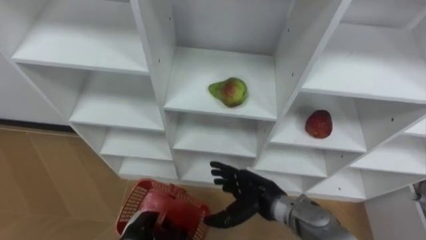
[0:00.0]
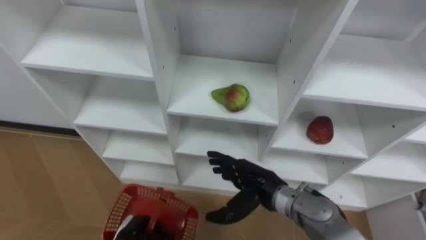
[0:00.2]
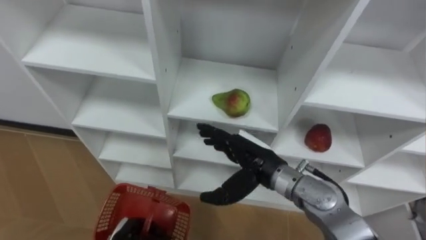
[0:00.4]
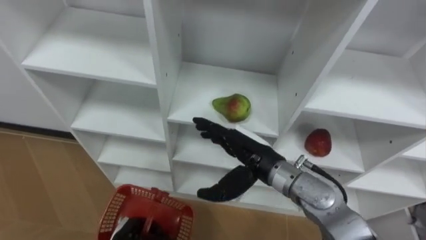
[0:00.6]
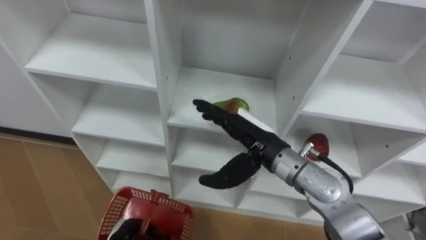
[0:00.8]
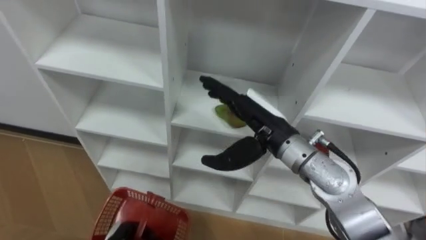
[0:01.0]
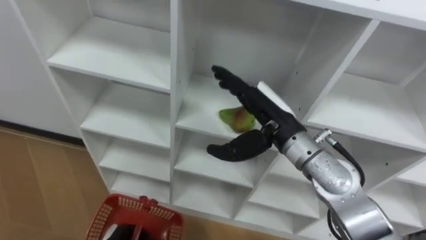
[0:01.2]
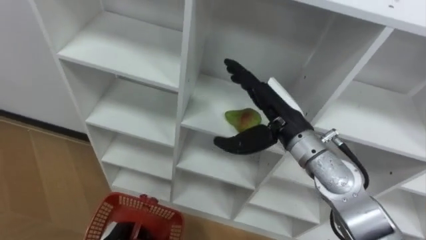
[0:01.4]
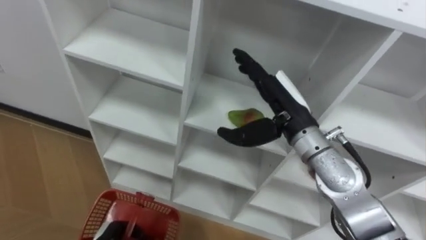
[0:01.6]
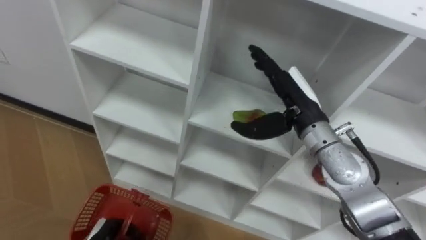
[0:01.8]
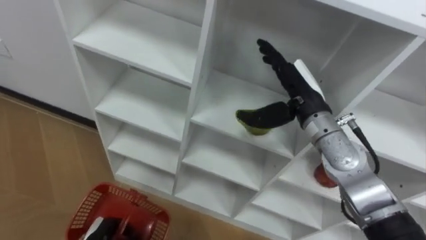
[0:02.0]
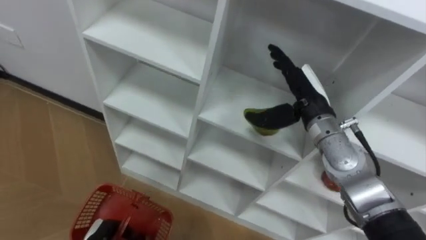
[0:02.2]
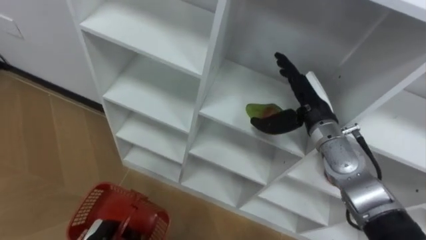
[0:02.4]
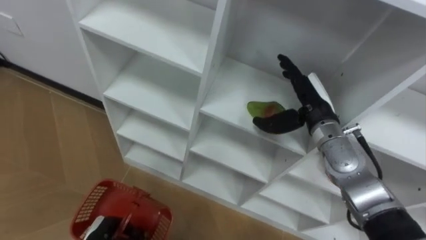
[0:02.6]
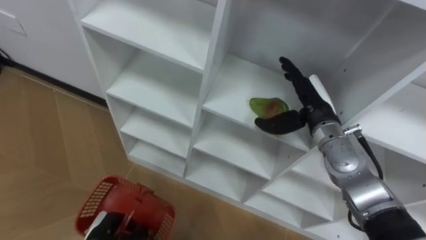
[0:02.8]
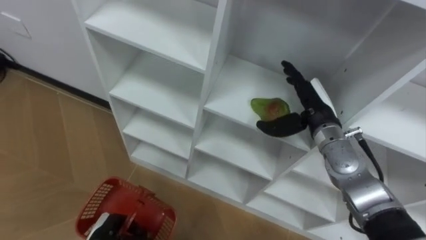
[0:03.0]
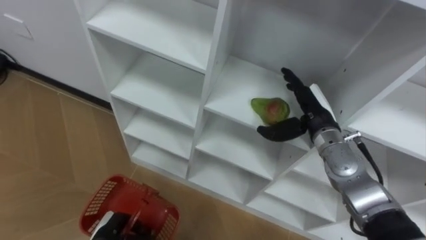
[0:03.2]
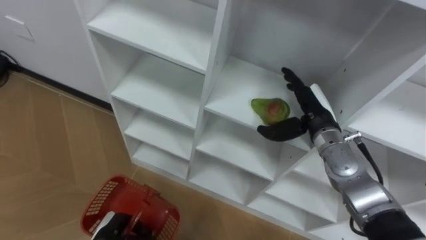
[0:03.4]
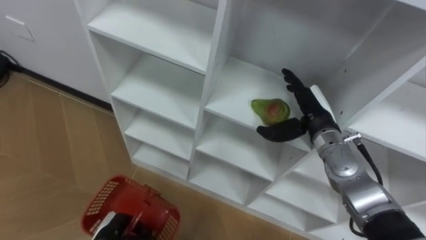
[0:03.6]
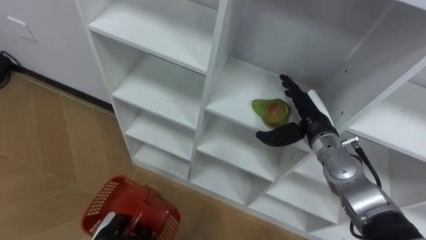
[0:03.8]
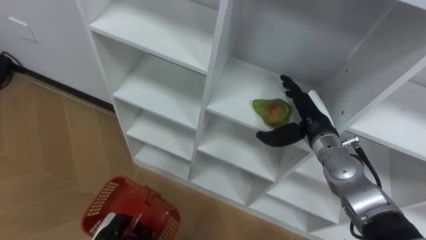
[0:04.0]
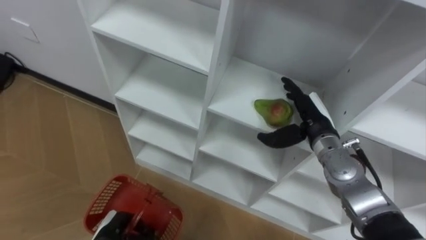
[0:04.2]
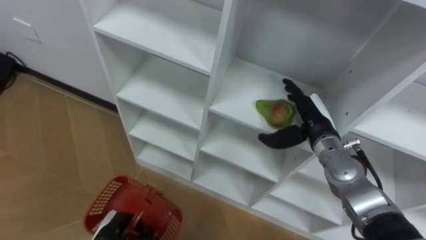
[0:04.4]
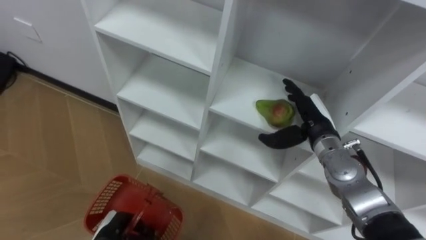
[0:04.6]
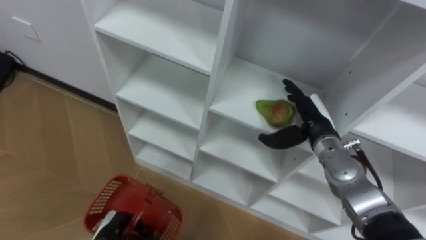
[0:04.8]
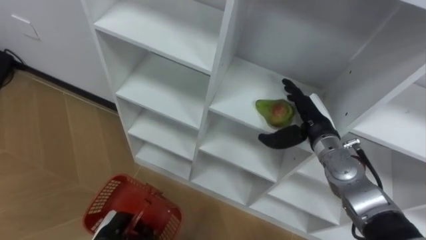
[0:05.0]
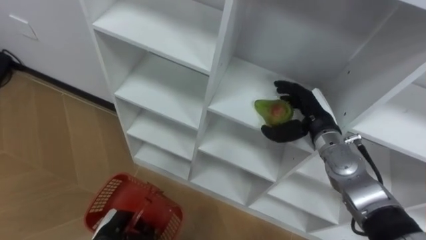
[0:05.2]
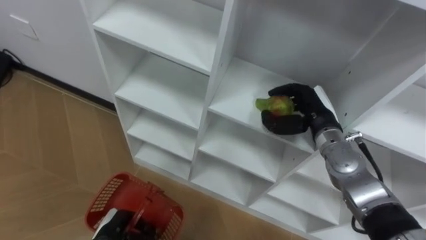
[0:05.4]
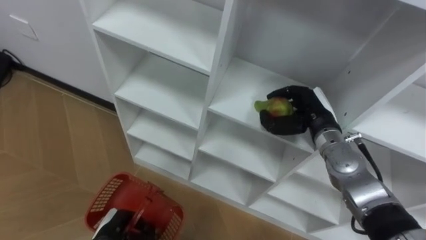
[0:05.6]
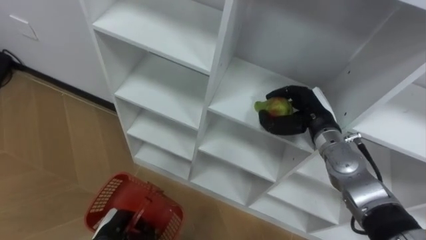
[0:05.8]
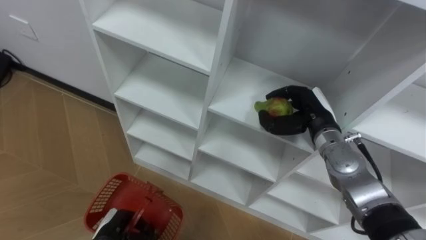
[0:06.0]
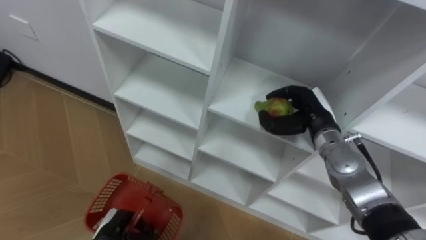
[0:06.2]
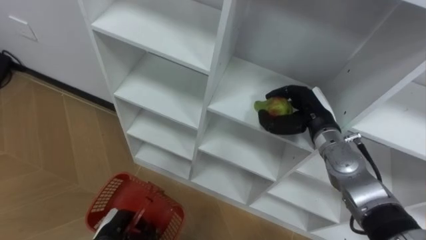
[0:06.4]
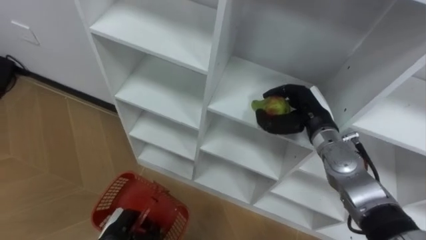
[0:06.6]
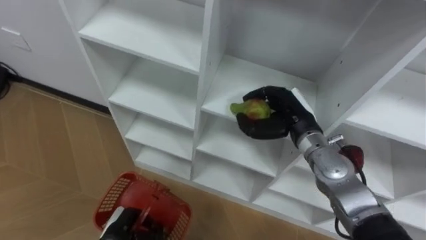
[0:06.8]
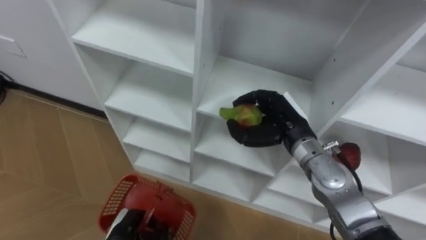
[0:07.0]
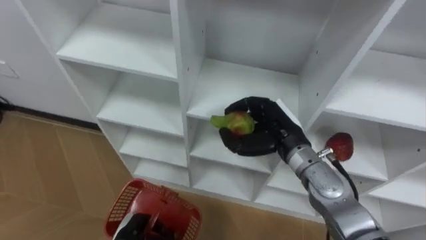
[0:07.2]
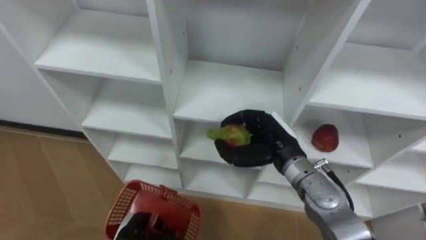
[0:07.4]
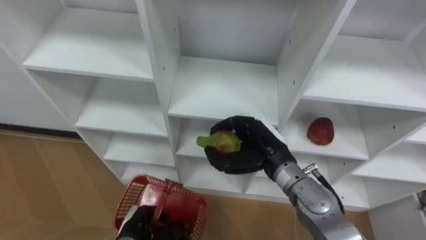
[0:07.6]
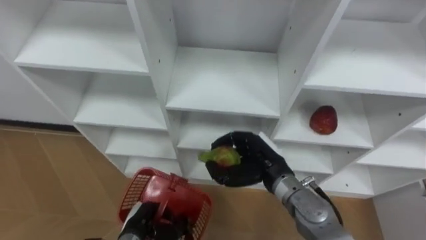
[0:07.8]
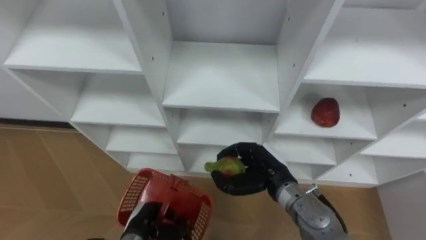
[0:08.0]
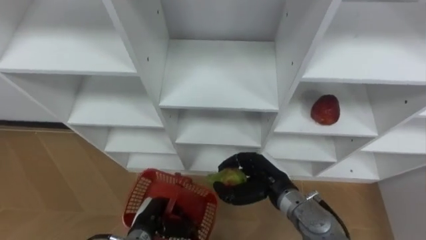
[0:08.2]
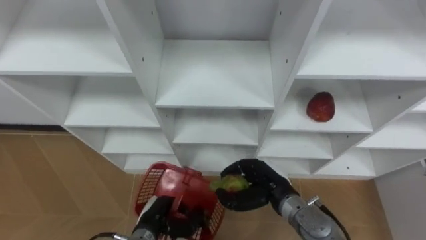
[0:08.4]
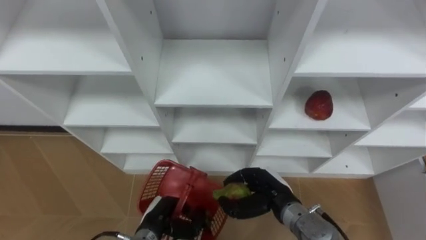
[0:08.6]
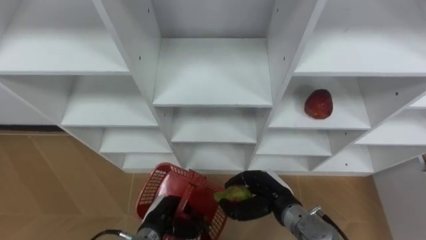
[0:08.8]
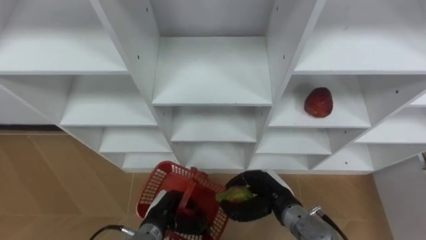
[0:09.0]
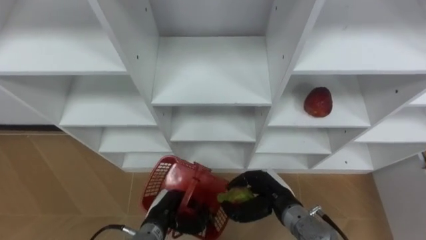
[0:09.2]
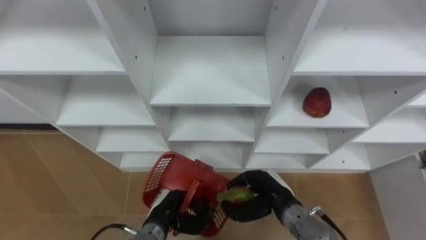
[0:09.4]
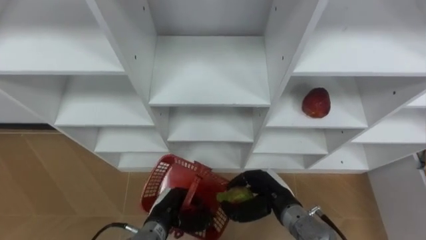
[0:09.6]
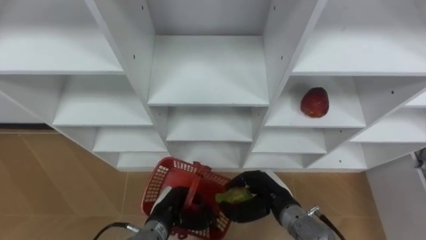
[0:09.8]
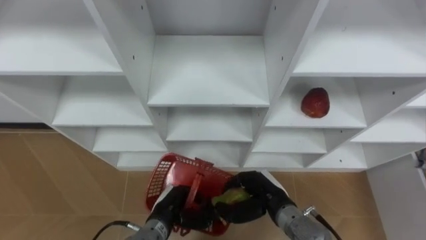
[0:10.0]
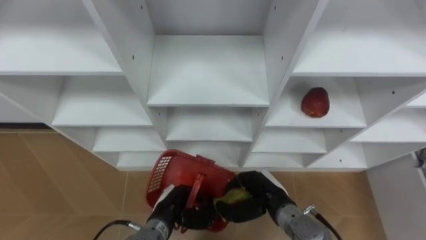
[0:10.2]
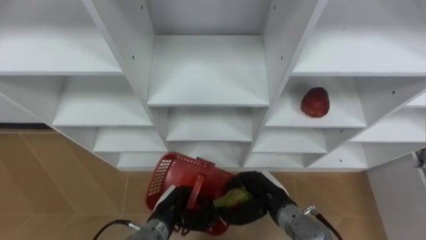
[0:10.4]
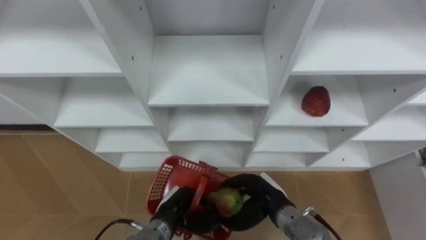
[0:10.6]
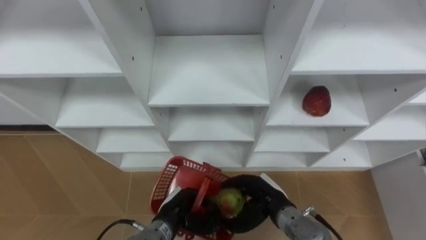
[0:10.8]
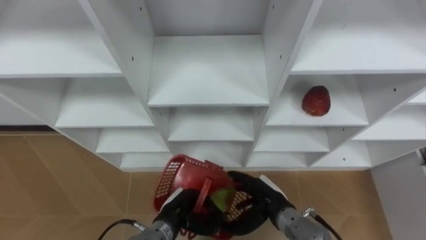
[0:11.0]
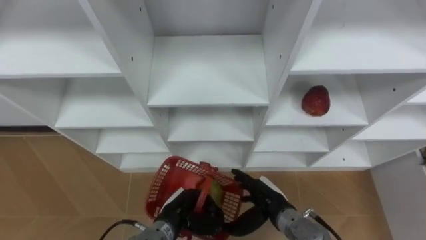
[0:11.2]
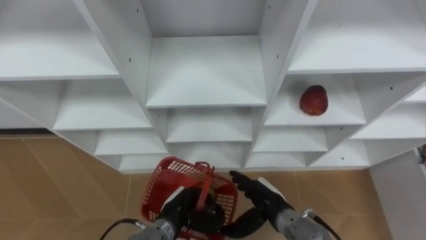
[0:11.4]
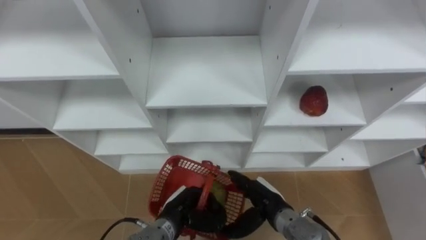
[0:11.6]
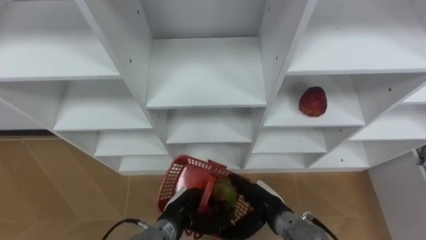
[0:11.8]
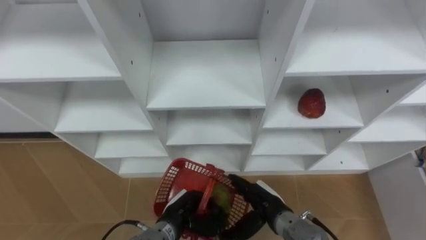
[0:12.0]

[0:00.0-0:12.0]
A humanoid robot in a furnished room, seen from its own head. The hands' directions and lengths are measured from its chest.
Task of the whole recording: Hold the basket and collect the fruits from 3 different cells of the closet into it.
0:00.0 to 0:01.6: The right hand moves upward and forward, roughly 20 cm.
0:01.6 to 0:03.0: The right hand moves to the right and downward, approximately 10 cm.
0:03.0 to 0:04.4: The hands make only small movements.
0:04.4 to 0:06.0: The right hand closes its fingers.
0:06.0 to 0:07.6: The left hand goes about 5 cm to the right. Meanwhile the right hand travels to the left and backward by about 10 cm.
0:07.6 to 0:09.0: The left hand moves to the right, roughly 5 cm. Meanwhile the right hand heads downward and backward, covering about 10 cm.
0:09.0 to 0:10.4: There are only small adjustments of the hands.
0:10.4 to 0:12.0: The right hand opens.

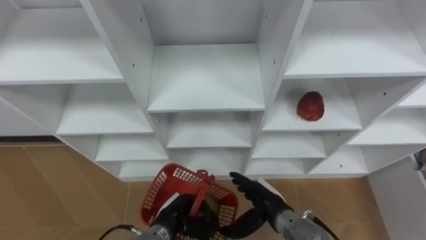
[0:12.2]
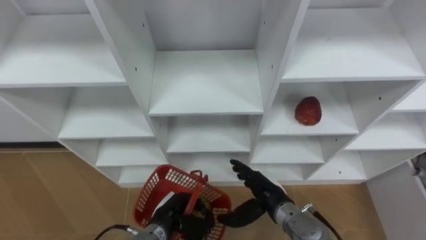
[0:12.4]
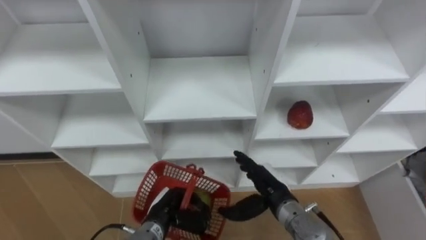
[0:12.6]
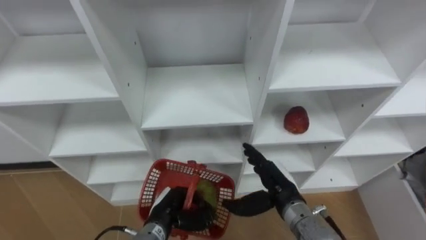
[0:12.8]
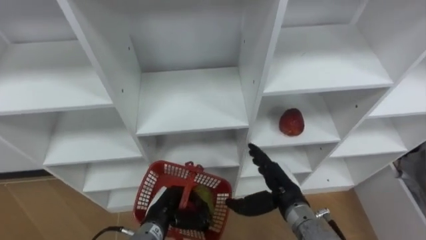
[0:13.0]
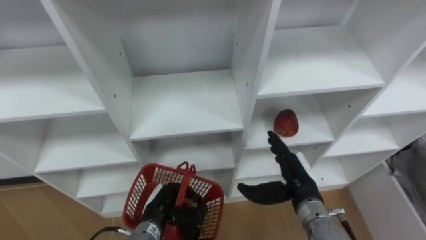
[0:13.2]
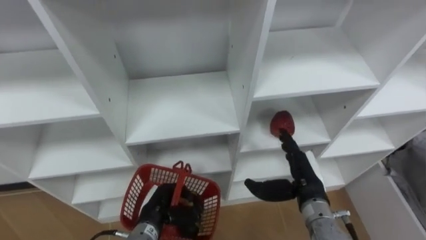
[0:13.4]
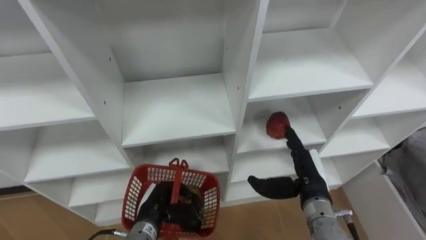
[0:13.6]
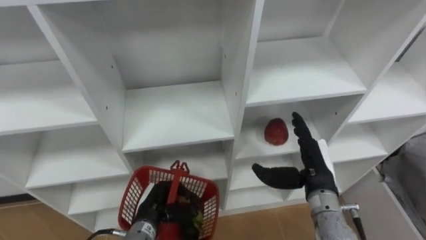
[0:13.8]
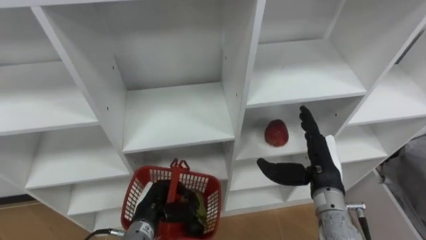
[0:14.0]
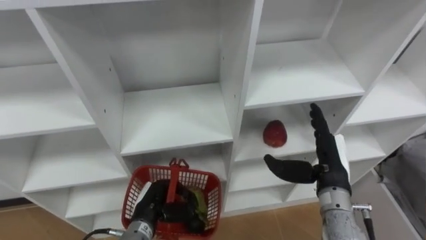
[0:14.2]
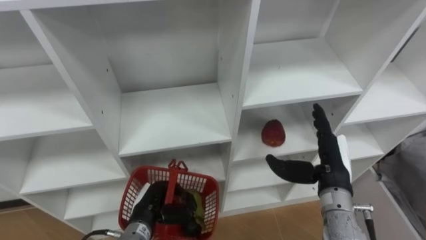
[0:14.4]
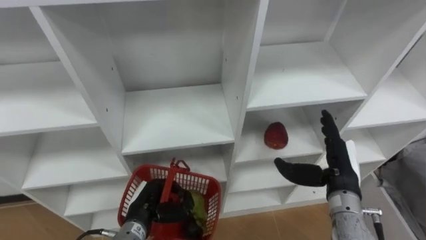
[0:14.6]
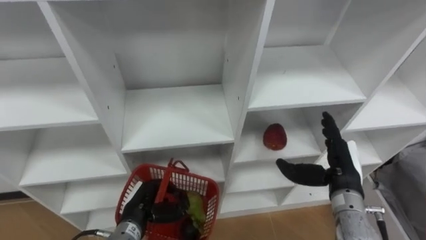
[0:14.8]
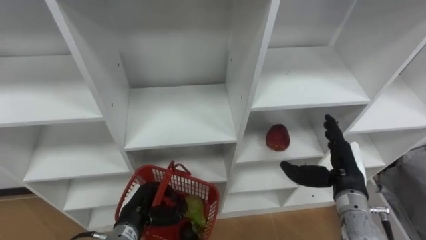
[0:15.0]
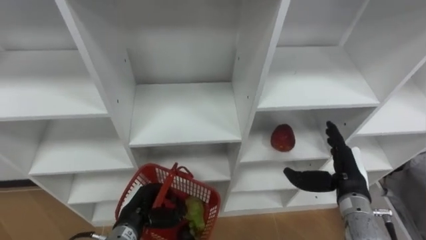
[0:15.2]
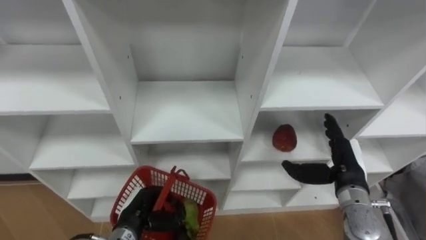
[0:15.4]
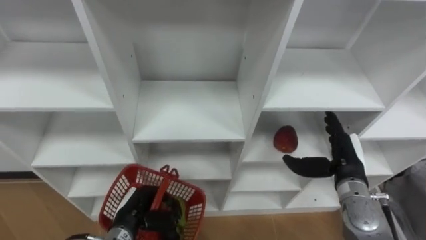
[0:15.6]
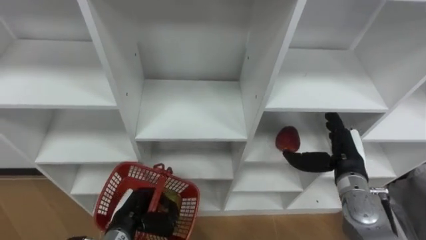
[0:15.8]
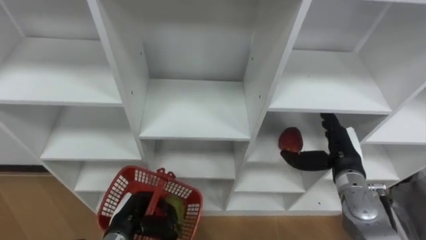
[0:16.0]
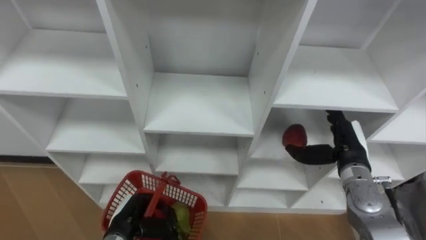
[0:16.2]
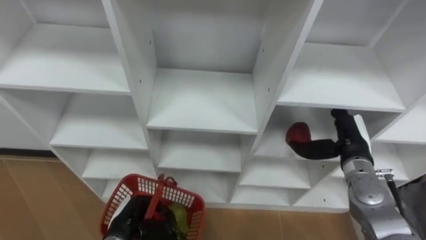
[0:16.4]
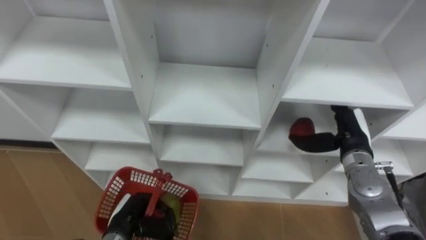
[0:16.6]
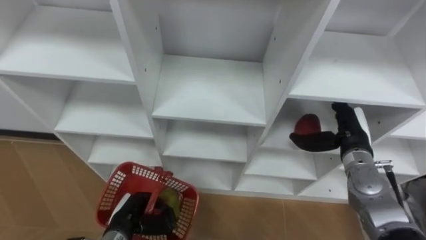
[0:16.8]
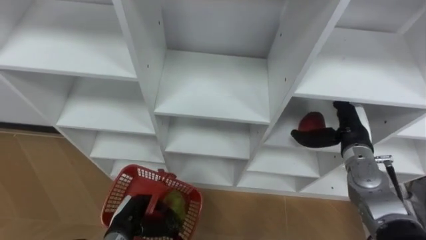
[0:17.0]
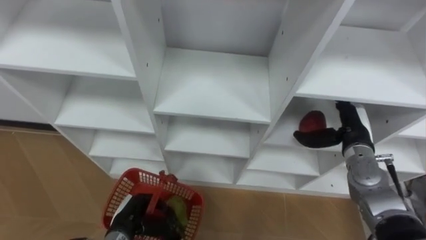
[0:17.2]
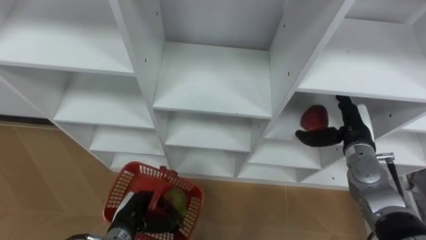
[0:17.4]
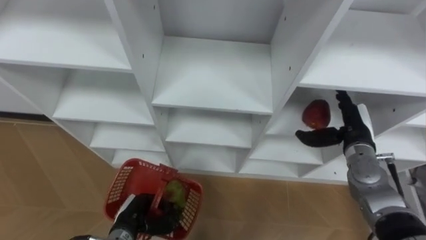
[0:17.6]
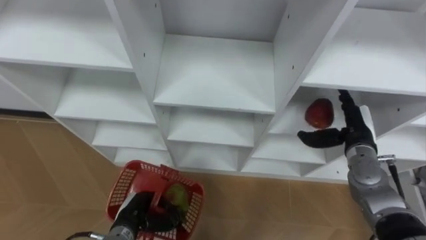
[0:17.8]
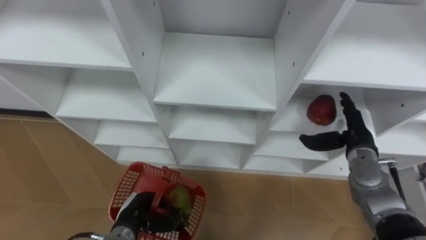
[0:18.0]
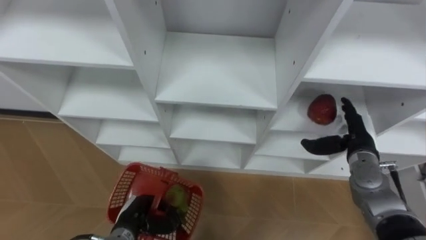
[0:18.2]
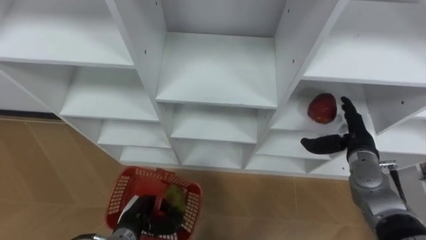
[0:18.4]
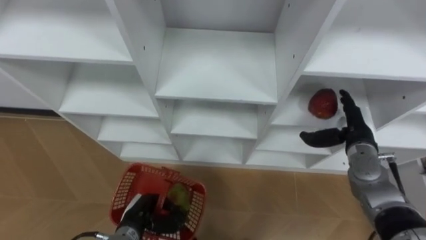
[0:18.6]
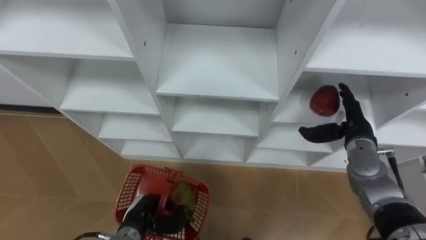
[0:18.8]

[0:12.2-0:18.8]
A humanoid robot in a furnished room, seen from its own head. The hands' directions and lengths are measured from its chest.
Task of the whole recording: Hold the basket and collect the fruits from 3 different cells of the closet into it.
0:12.2 to 0:13.8: The left hand shifts by about 5 cm. Meanwhile the right hand heads upward and to the right, covering roughly 15 cm.
0:13.8 to 0:15.4: The right hand travels to the right by approximately 5 cm.
0:15.4 to 0:17.2: The right hand heads forward, covering approximately 5 cm.
